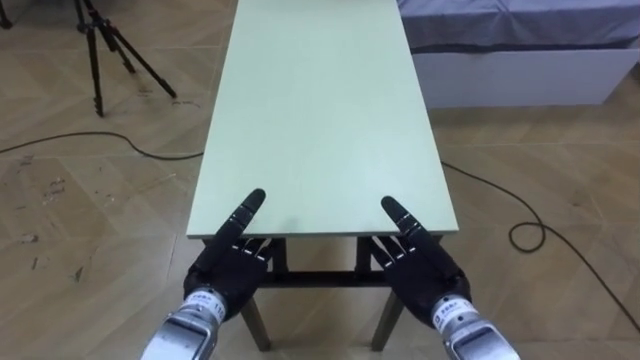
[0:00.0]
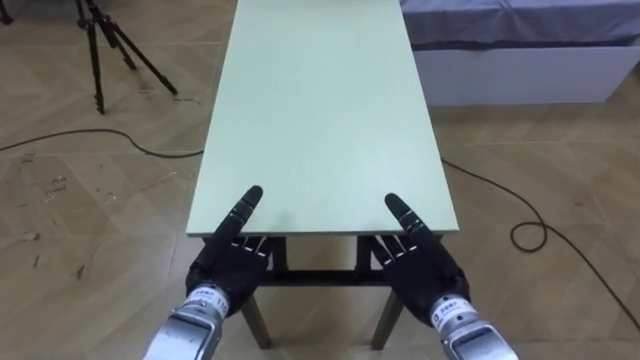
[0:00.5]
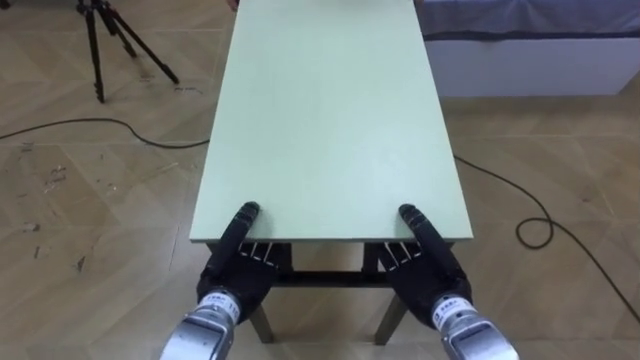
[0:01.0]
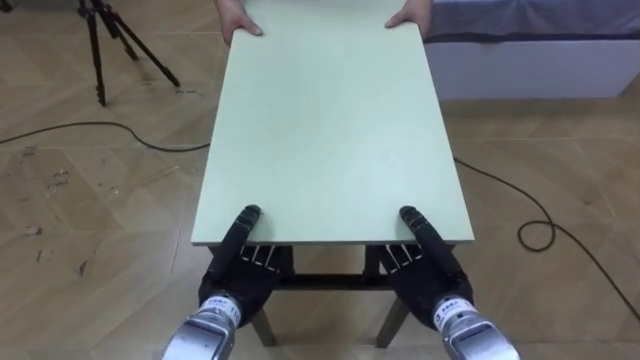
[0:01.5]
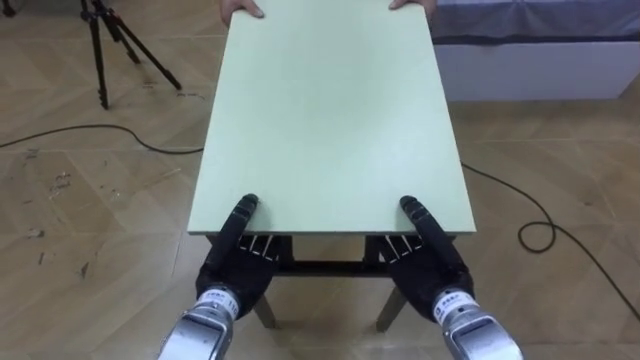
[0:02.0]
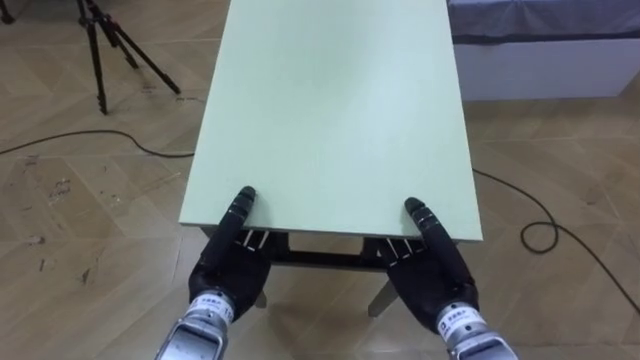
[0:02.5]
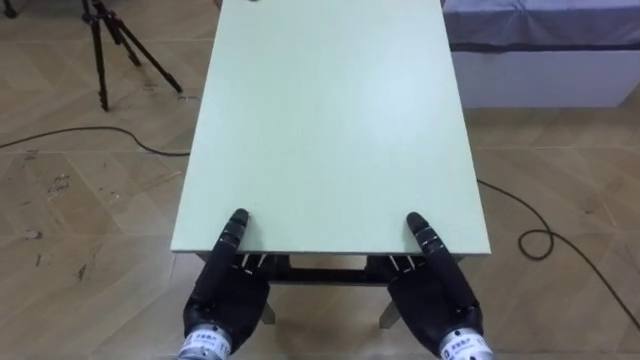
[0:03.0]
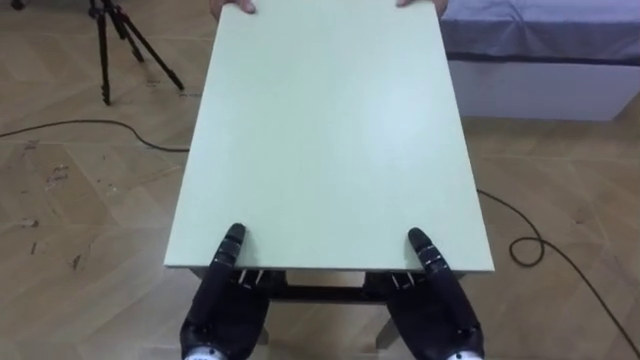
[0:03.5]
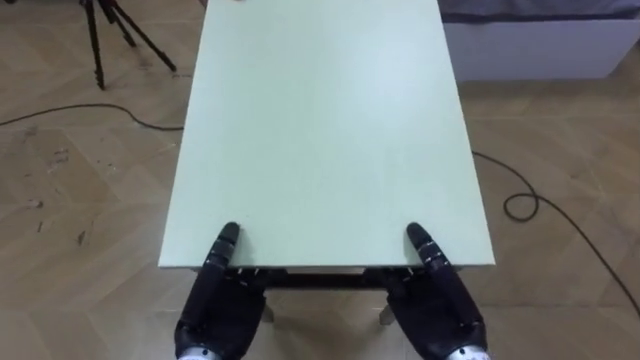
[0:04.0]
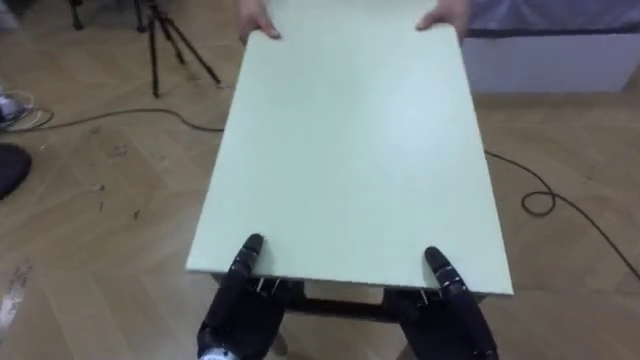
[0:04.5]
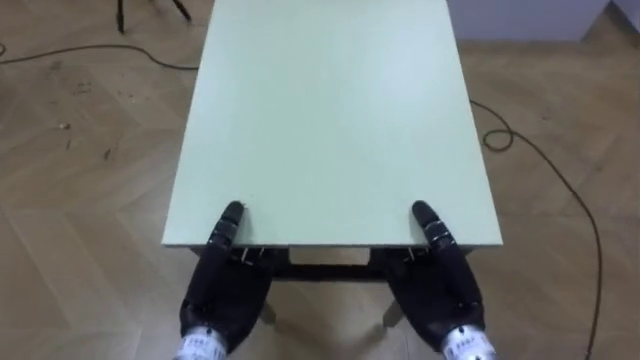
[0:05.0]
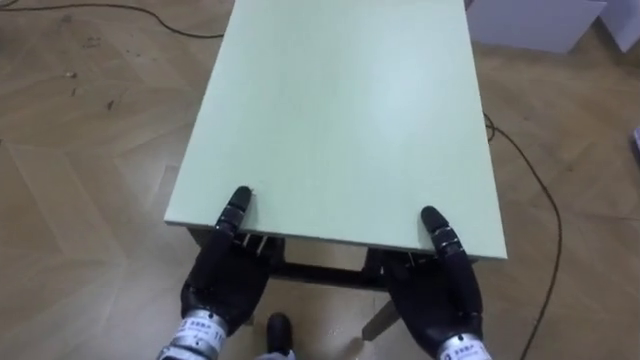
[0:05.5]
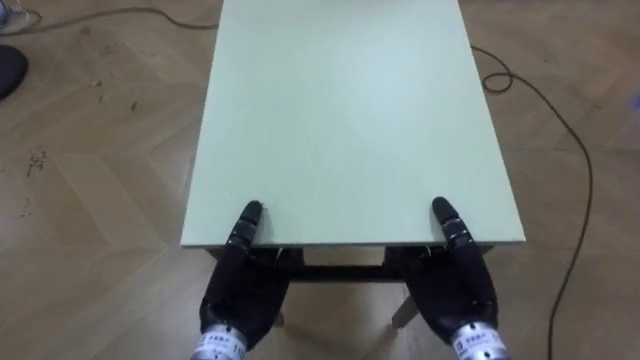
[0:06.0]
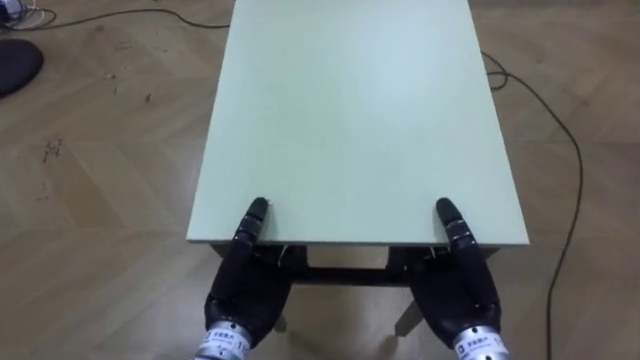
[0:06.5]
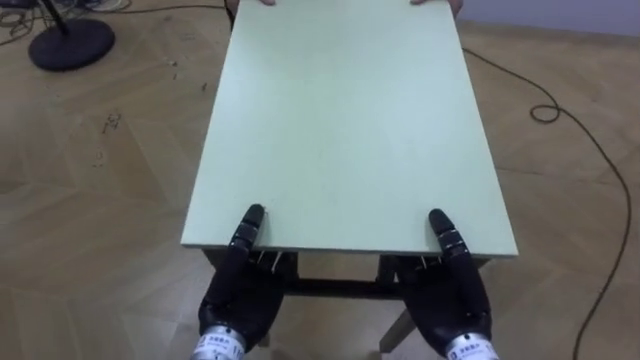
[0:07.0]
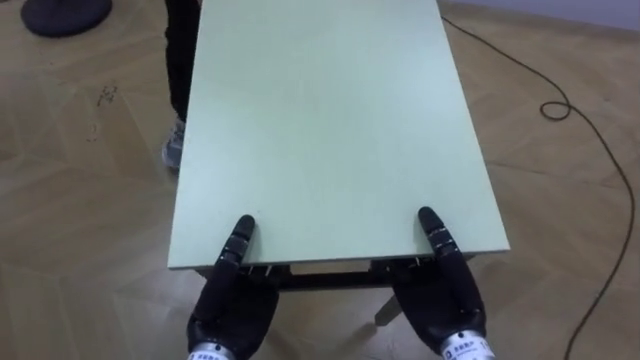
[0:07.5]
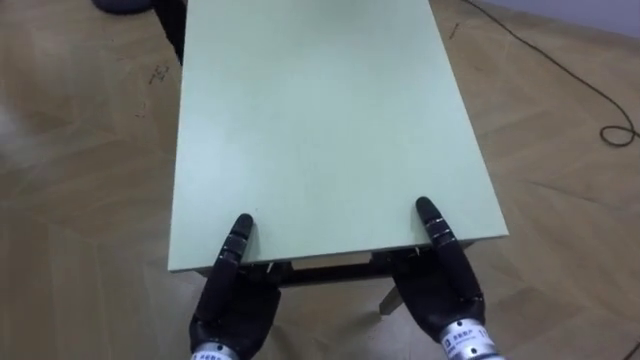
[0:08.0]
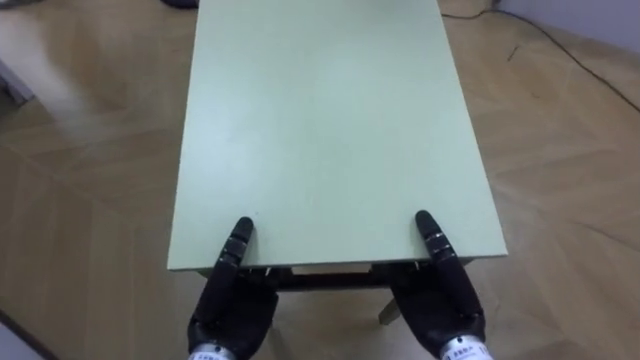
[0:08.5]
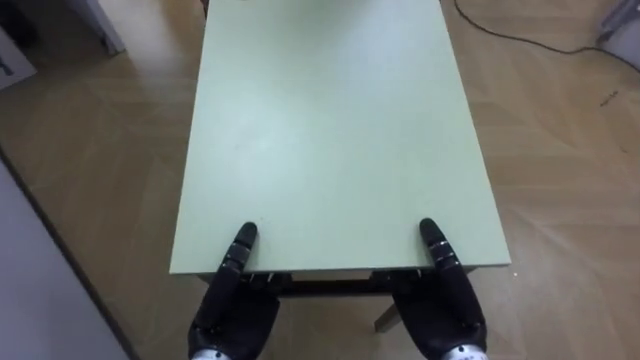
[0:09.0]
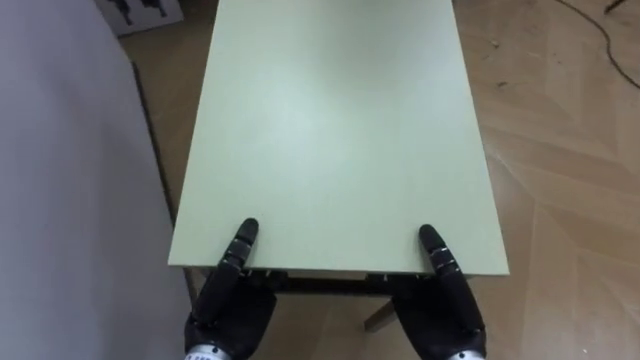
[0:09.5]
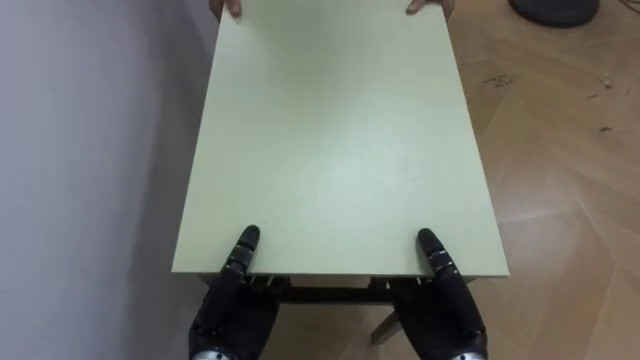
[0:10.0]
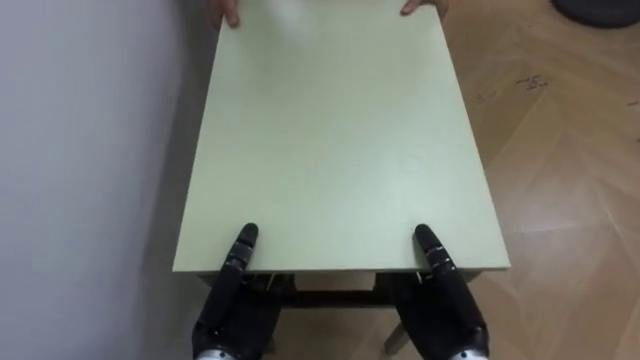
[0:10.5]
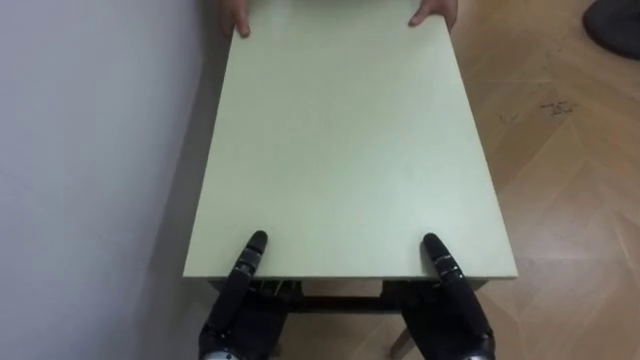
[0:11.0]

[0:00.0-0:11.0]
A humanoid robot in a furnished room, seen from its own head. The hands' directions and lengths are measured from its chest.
Task of the whole recording: Move the table to the back left with someone.
0:00.0 to 0:02.0: The left hand closes its fingers. The right hand closes.
0:02.0 to 0:03.5: Both hands move backward, some 5 cm.
0:07.5 to 0:09.0: The robot faces roughly 30 degrees further to its left.
0:09.0 to 0:11.0: The robot turns to its left by roughly 50 degrees.

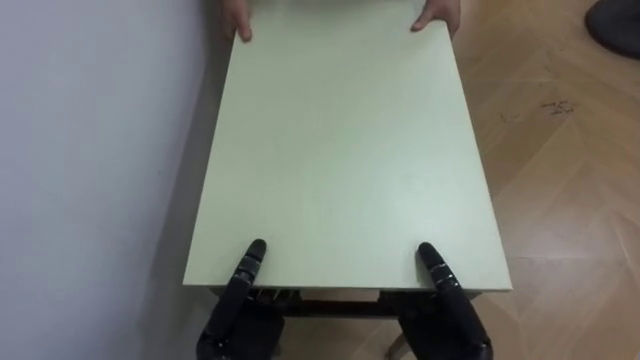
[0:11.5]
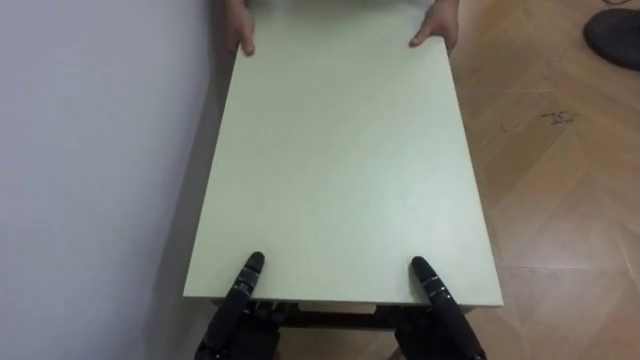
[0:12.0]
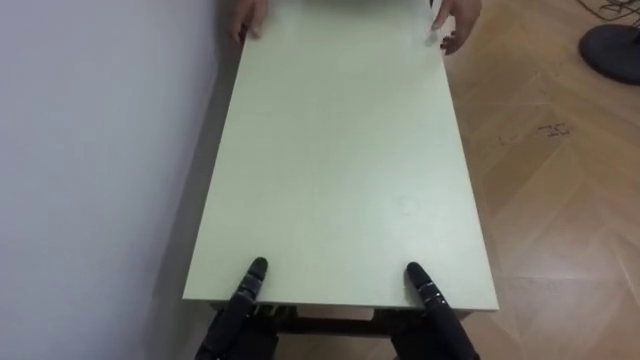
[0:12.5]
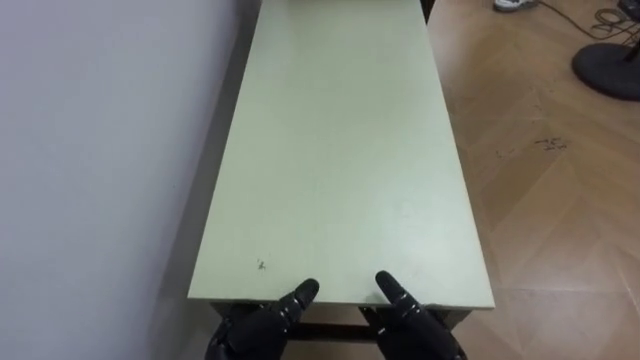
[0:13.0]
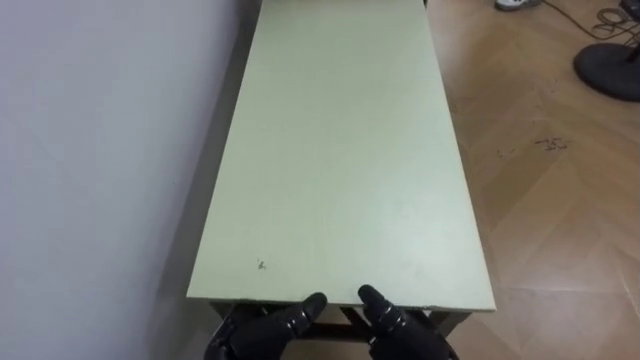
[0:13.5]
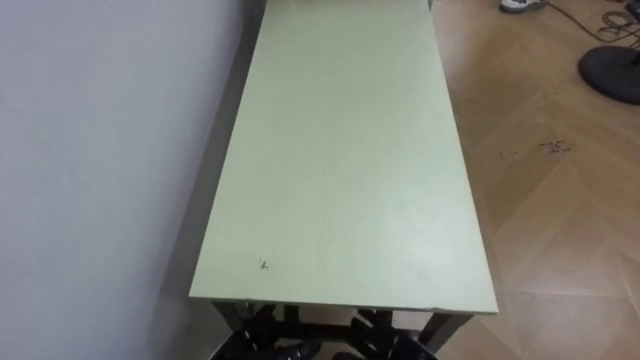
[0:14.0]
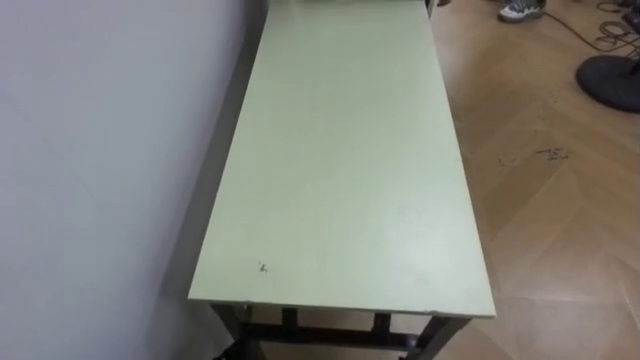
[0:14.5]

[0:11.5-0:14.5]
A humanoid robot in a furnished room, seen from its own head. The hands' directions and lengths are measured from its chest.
Task of the whole recording: Move the table to the back left with someone.
0:11.5 to 0:13.0: The right hand opens; the left hand opens up.

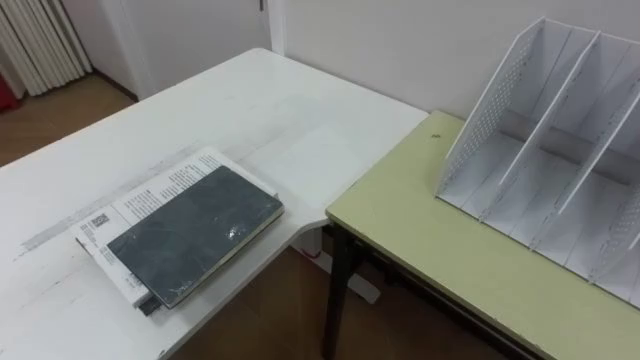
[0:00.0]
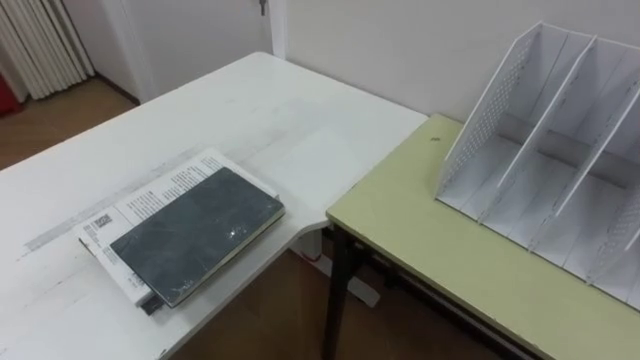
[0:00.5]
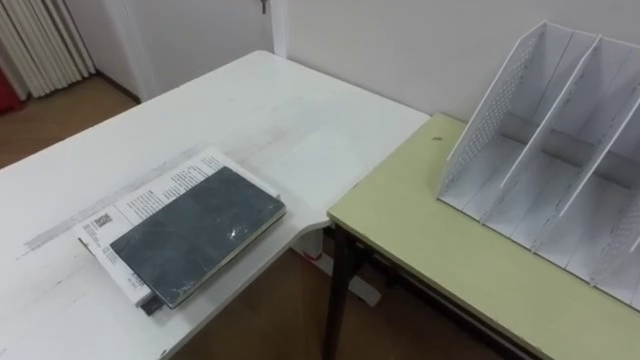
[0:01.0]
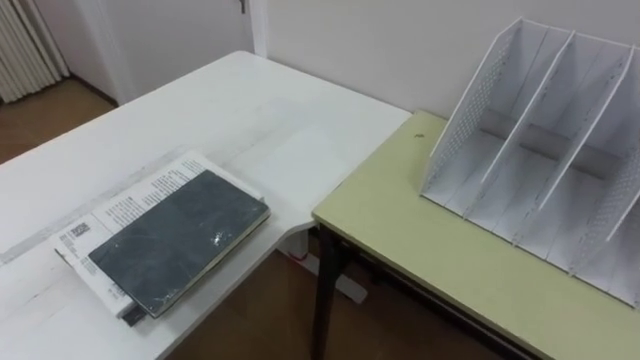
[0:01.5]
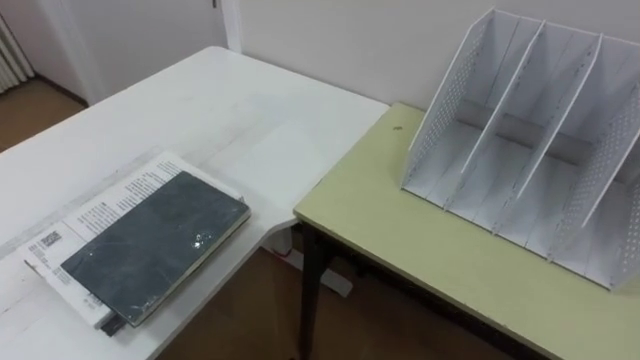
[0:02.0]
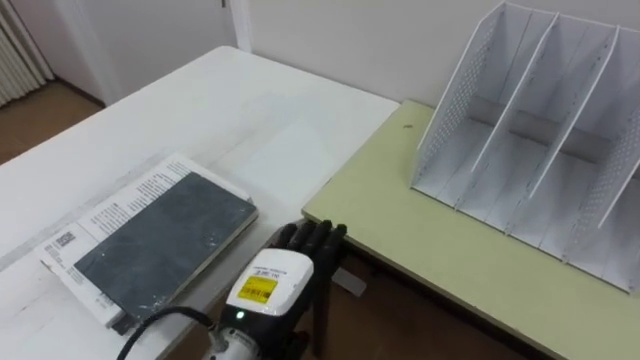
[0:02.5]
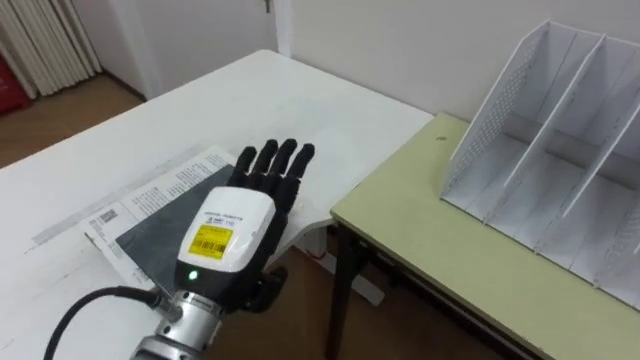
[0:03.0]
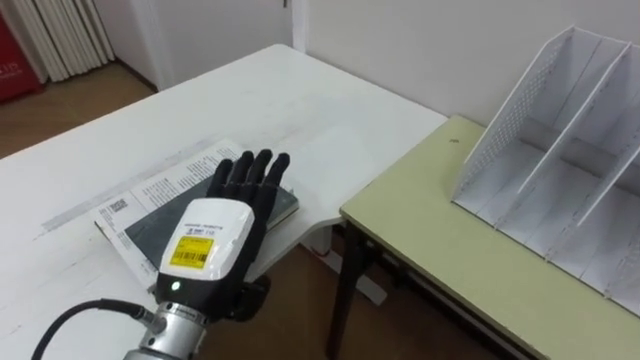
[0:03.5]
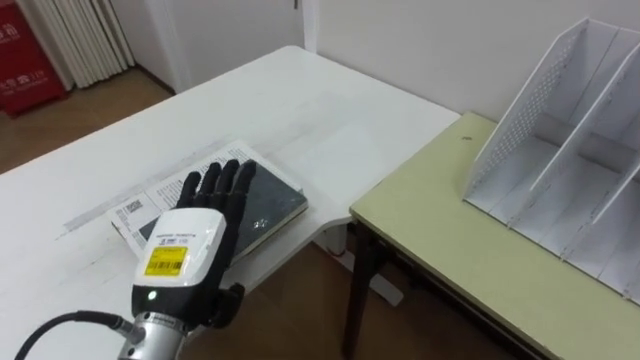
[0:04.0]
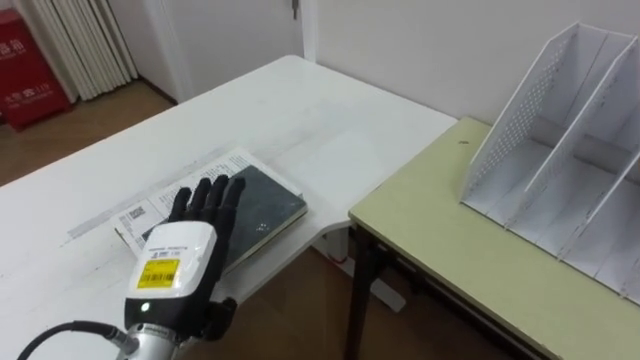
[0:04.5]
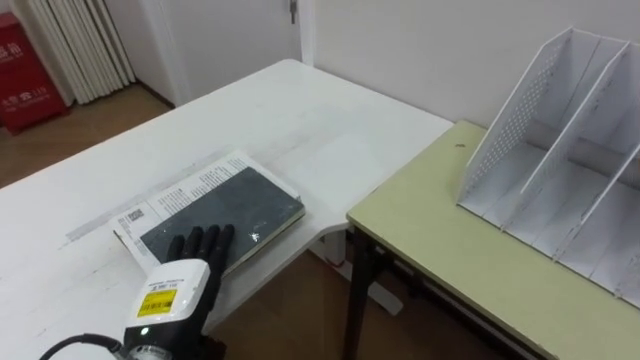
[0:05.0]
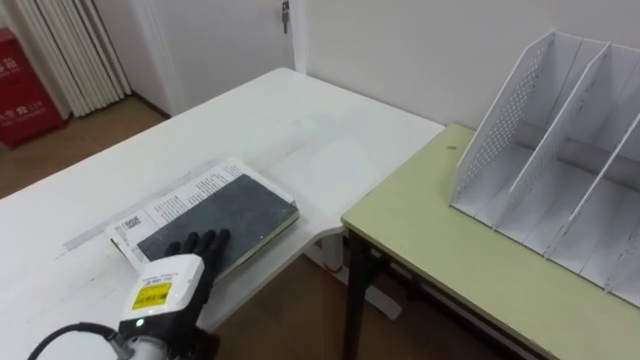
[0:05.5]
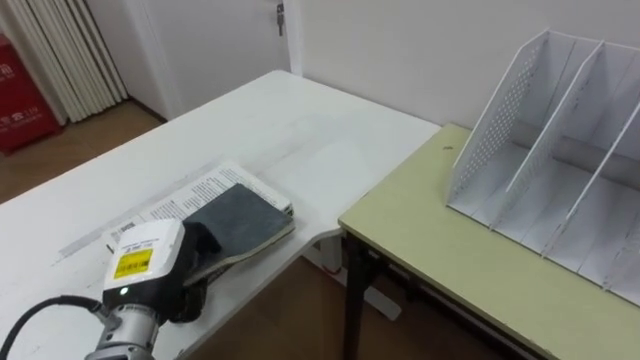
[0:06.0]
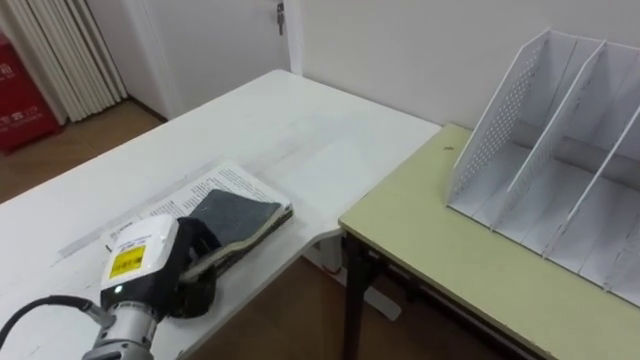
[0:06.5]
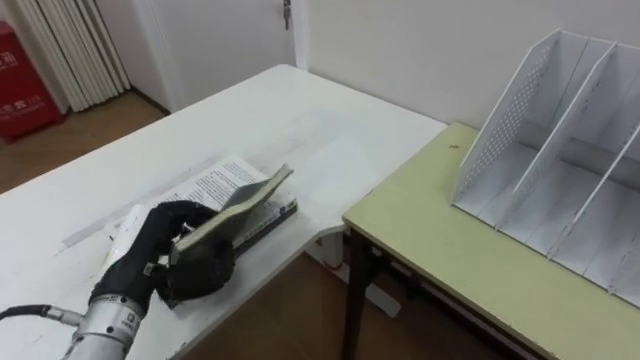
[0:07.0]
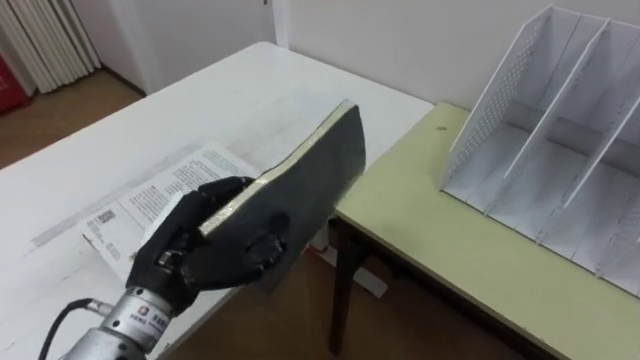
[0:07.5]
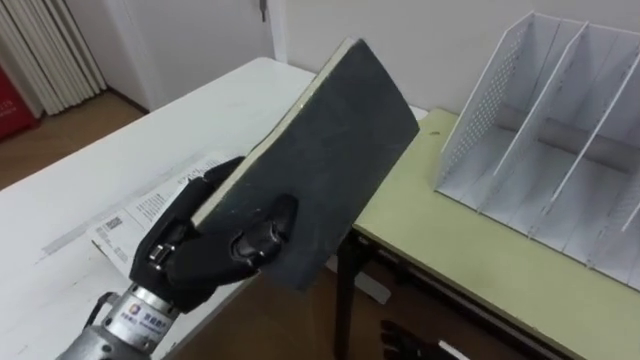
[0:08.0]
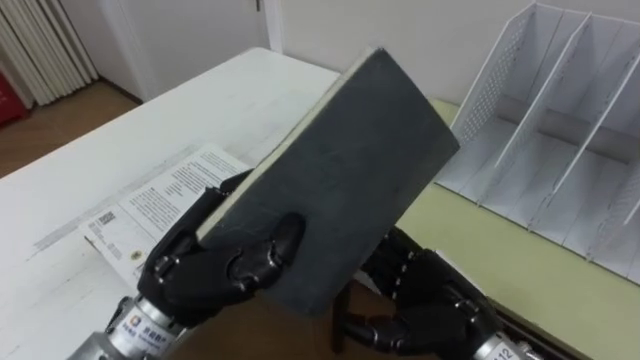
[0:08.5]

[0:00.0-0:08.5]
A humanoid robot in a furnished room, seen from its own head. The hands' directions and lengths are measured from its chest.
Task of the whole recording: Put the books on the table onto the bookshelf.
0:04.0 to 0:06.5: The left hand goes some 5 cm to the left, and closes its fingers.
0:06.5 to 0:08.5: The left hand shifts roughly 10 cm upward and to the right.
